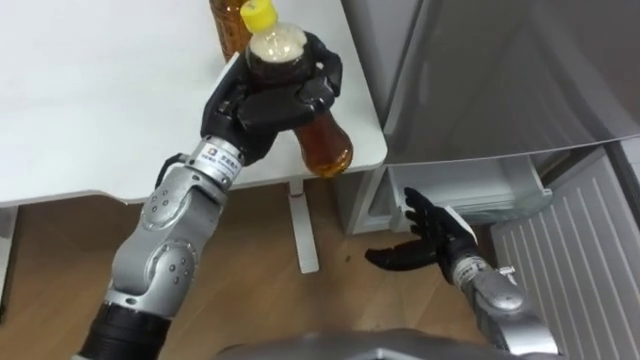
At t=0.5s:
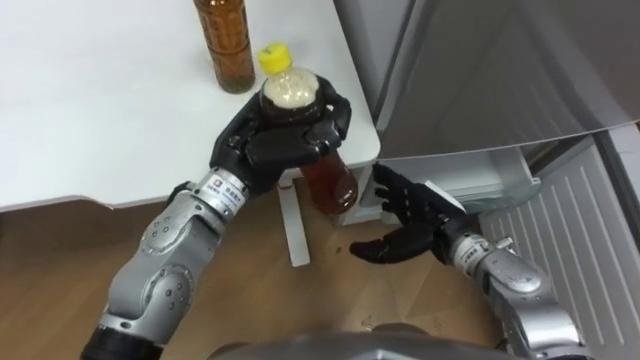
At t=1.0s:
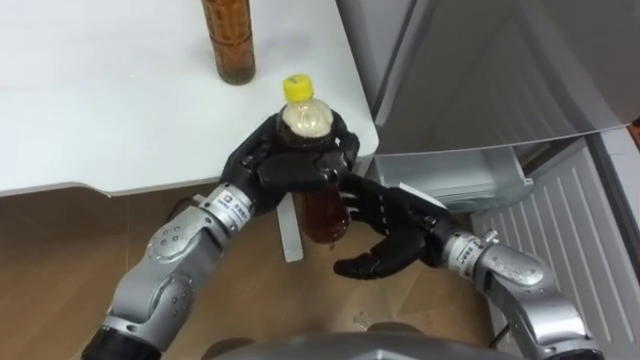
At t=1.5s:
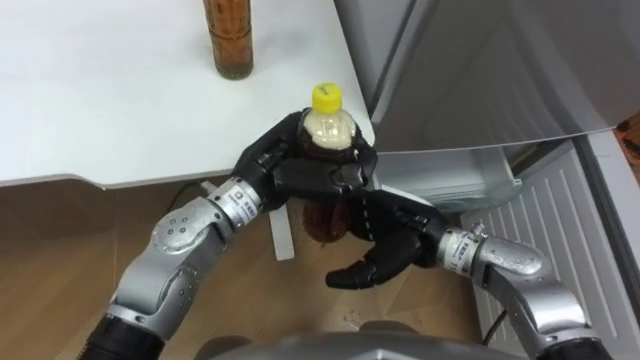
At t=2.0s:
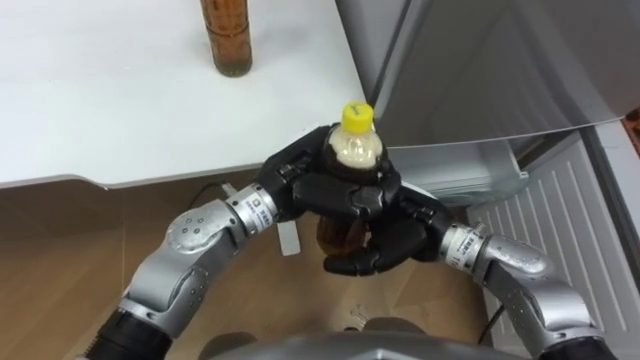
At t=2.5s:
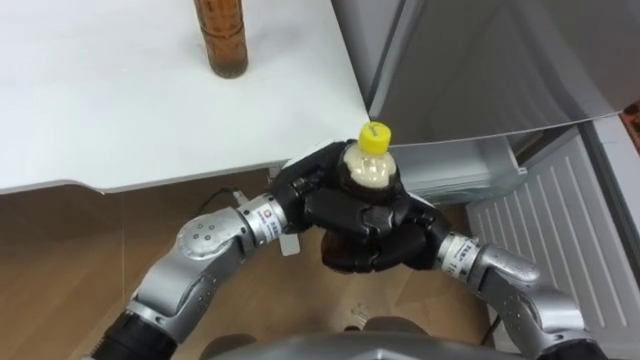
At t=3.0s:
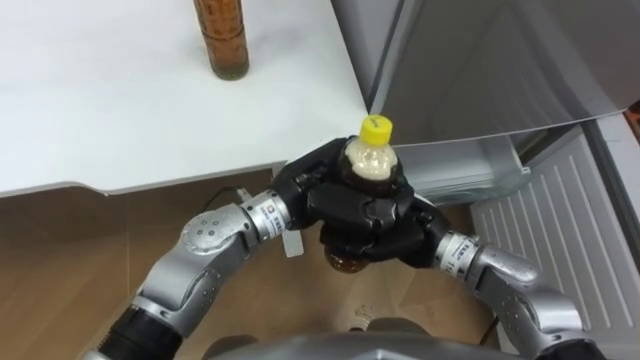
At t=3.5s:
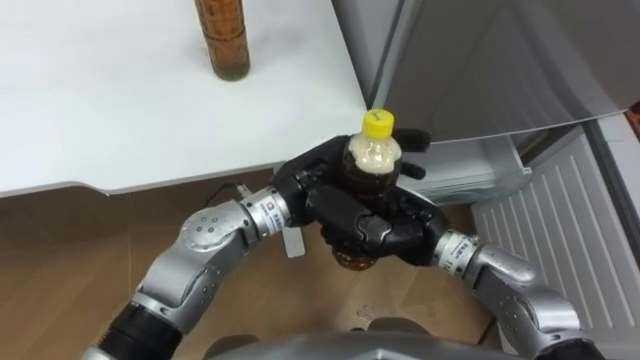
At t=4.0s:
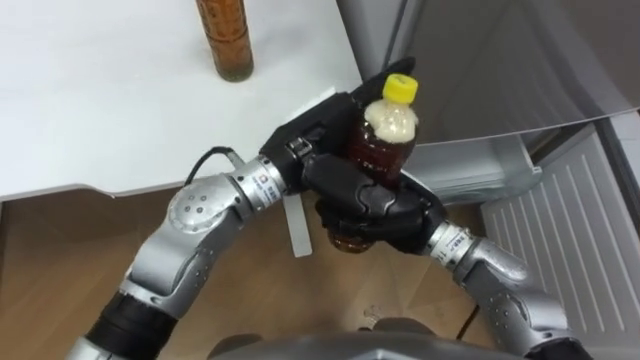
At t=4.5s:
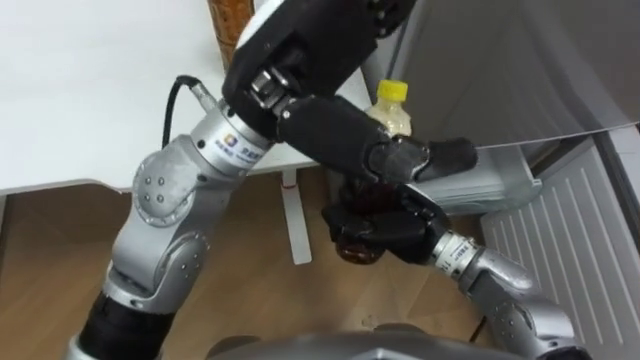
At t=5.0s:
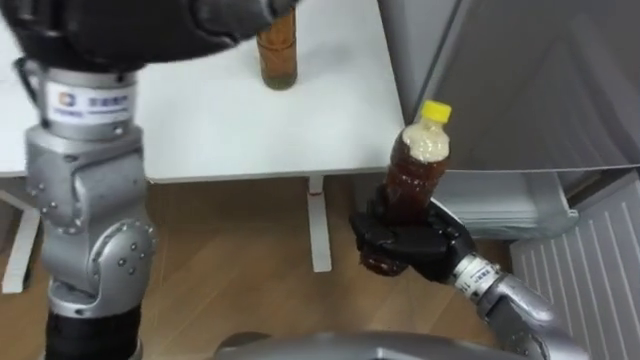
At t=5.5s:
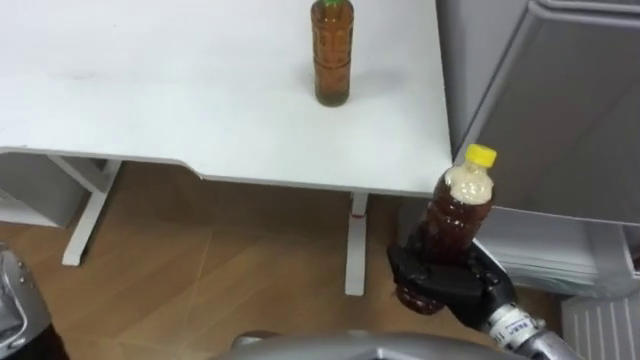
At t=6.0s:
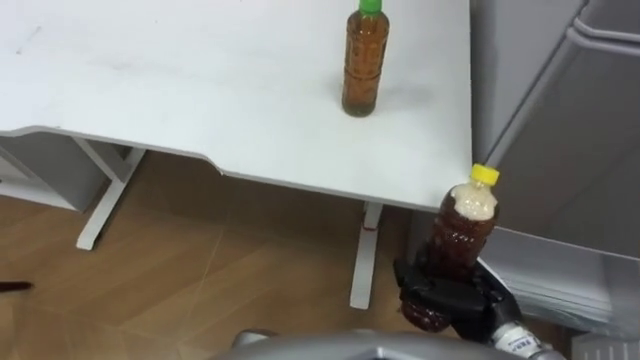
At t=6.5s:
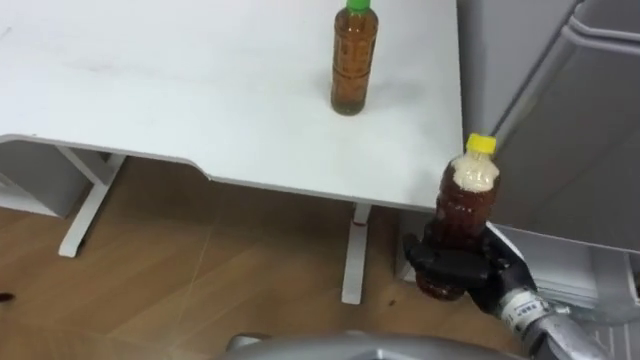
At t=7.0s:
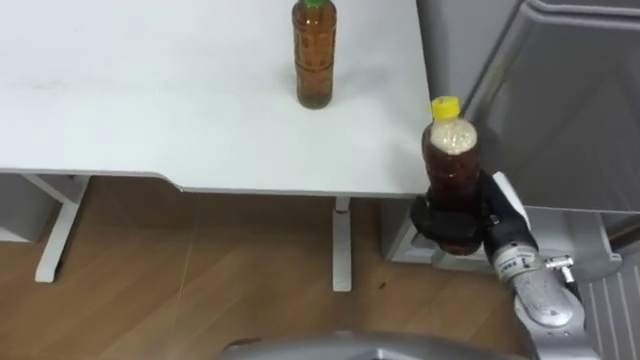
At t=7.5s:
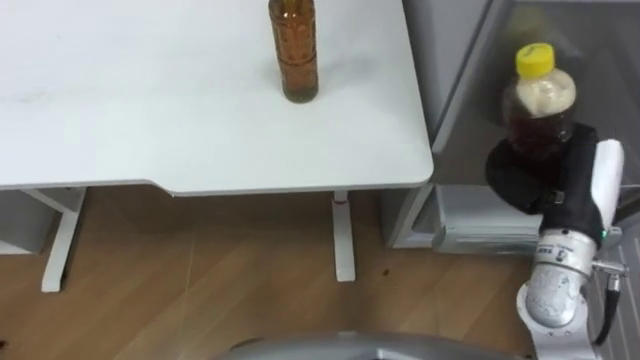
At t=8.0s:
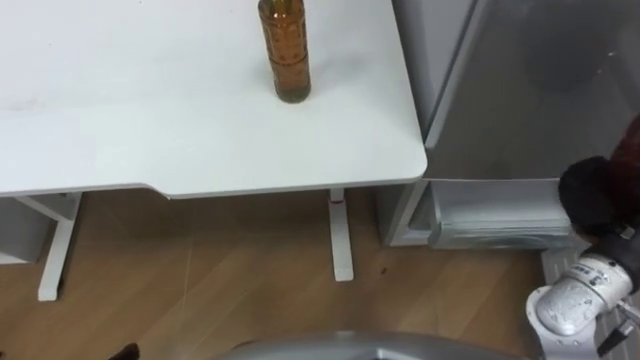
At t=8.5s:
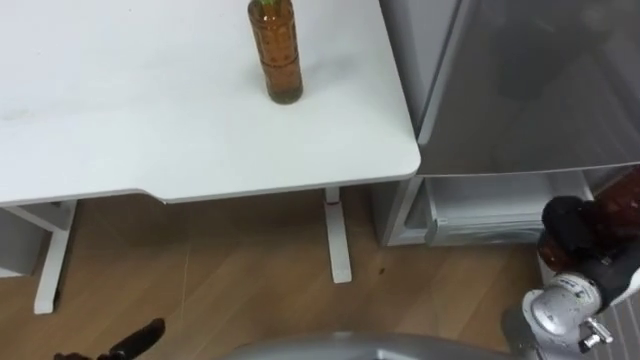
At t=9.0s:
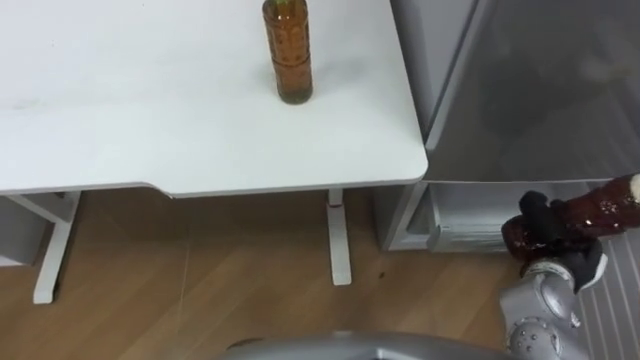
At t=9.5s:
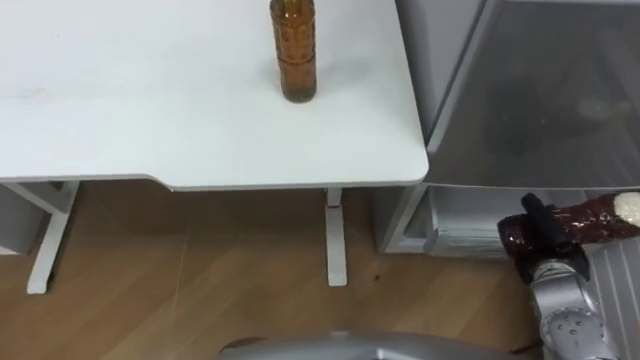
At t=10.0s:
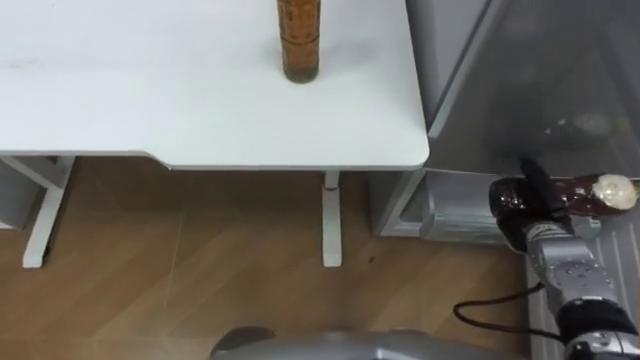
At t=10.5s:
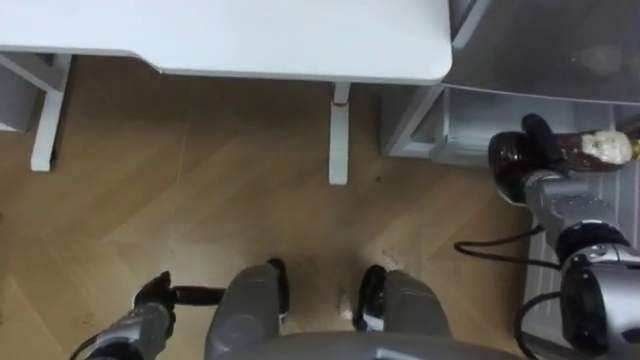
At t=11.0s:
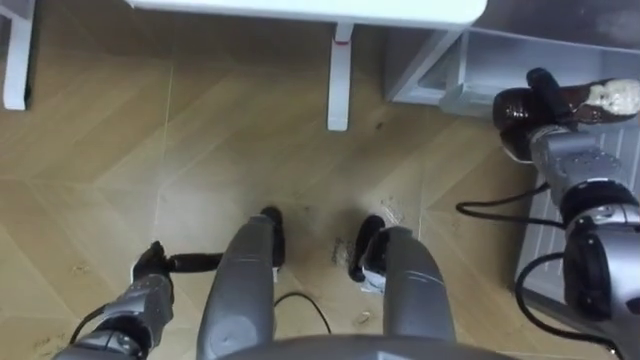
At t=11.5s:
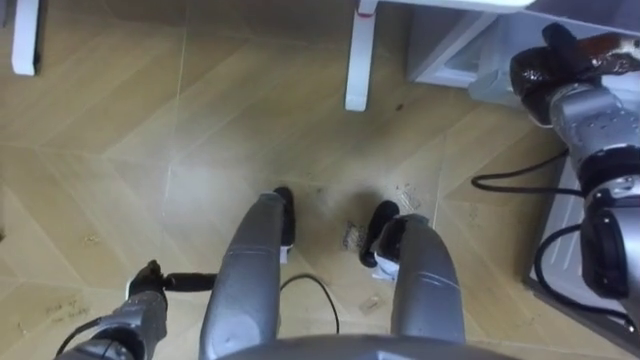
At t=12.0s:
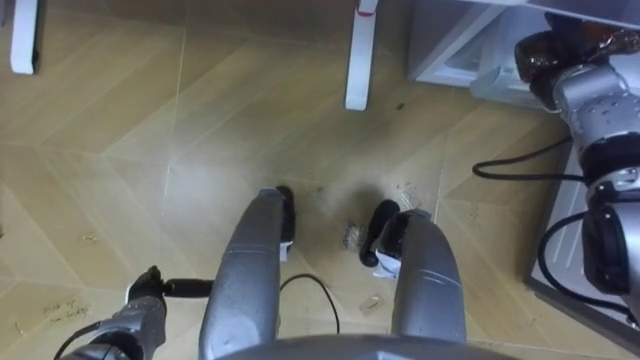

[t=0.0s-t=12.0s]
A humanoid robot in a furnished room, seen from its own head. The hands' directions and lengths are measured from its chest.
Task of the whole recording: Place the drink on the table on the bottom shelf of the refrigerator, then close the drawer and the refrigerator door.
t=0.0s to t=2.0s: The right hand shifts approximately 10 cm upward and to the left, while the left hand moves to the right, downward and backward, about 10 cm.
t=2.0s to t=4.0s: The left hand opens its fingers, while the right hand closes up.
t=4.0s to t=6.0s: The right hand travels backward, to the right and downward by roughly 15 cm.
t=6.0s to t=8.0s: The right hand is displaced to the right and upward by about 15 cm.
t=8.0s to t=10.0s: The right hand travels downward by roughly 15 cm.
t=10.0s to t=12.0s: The right hand is displaced forward and upward by about 20 cm.

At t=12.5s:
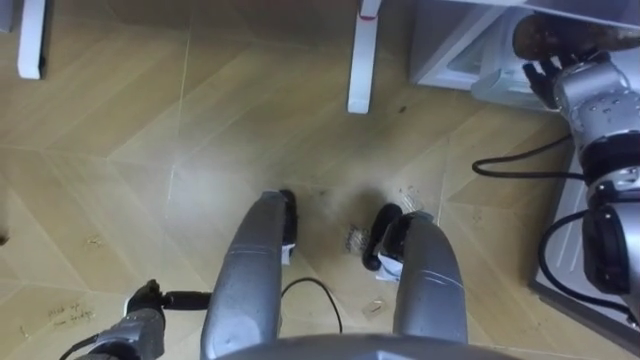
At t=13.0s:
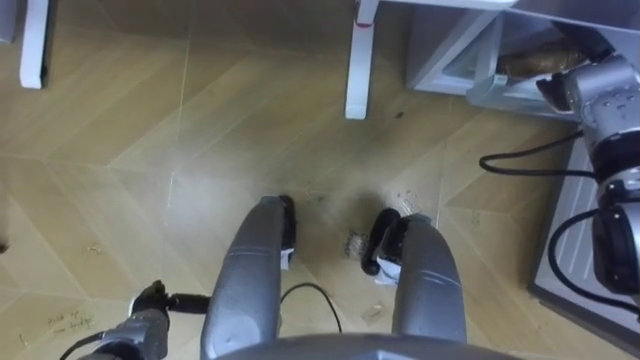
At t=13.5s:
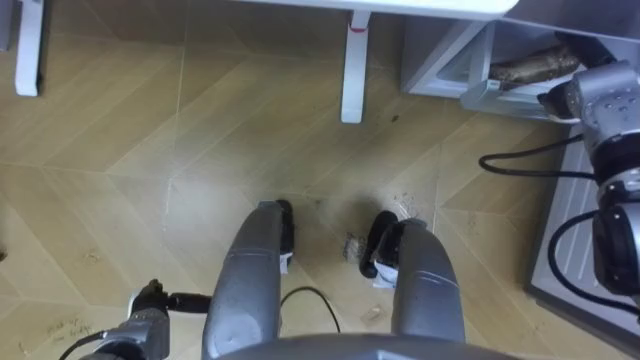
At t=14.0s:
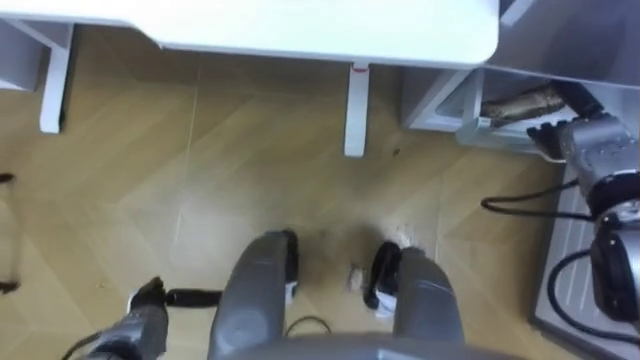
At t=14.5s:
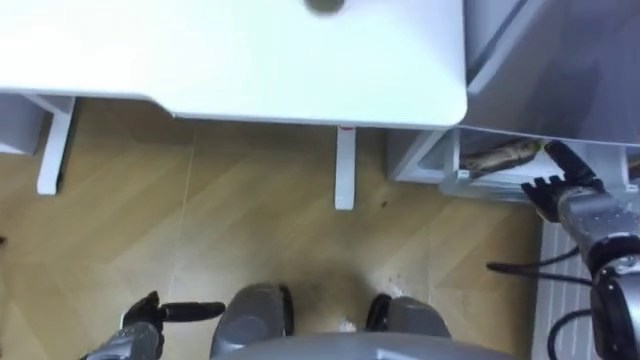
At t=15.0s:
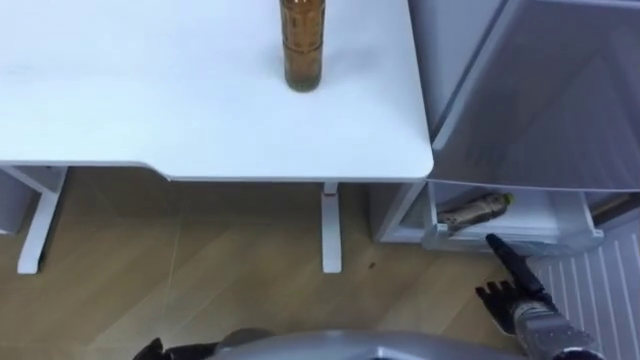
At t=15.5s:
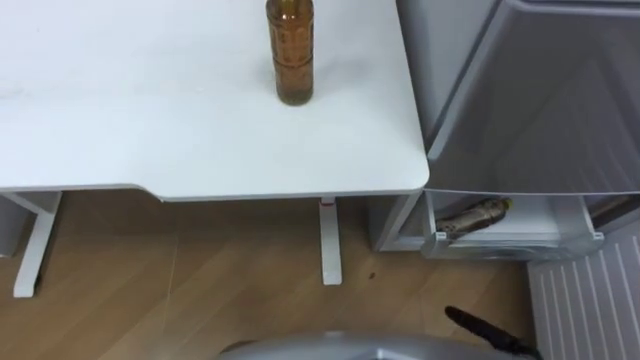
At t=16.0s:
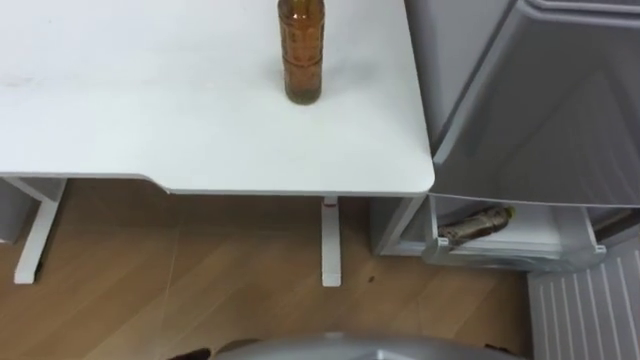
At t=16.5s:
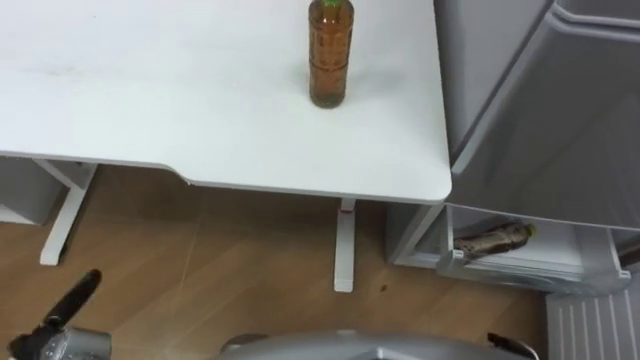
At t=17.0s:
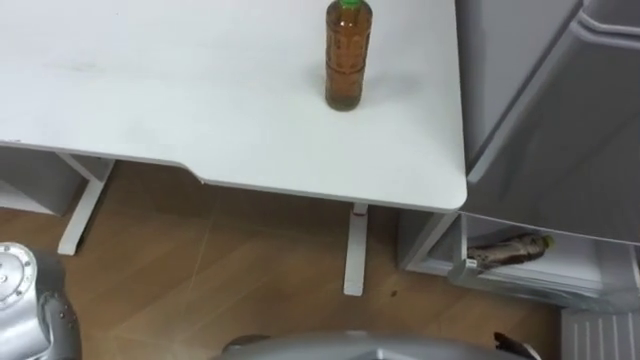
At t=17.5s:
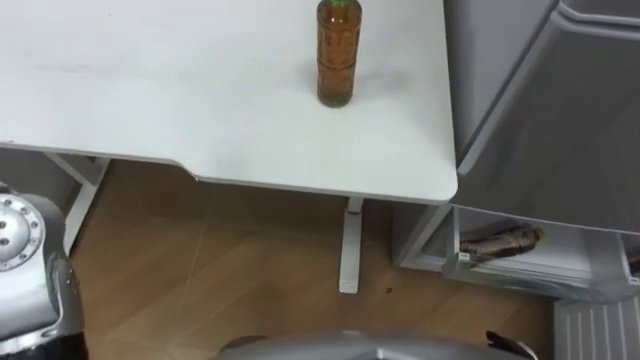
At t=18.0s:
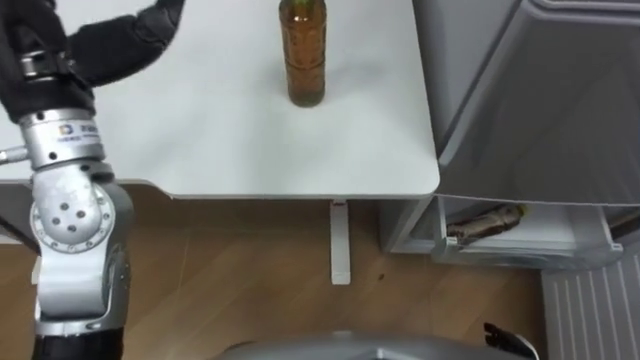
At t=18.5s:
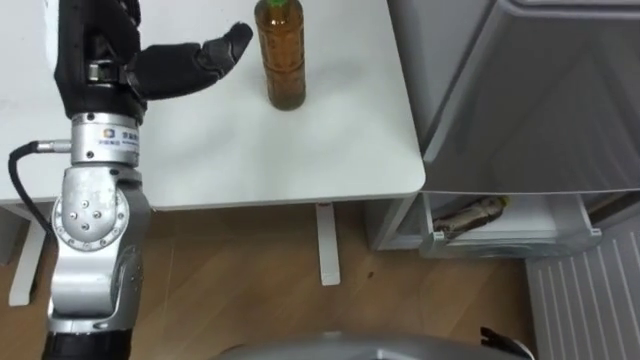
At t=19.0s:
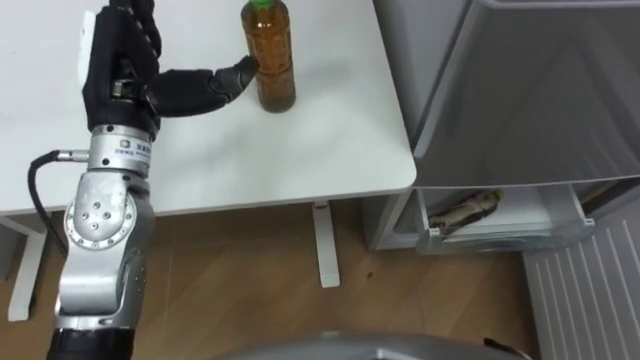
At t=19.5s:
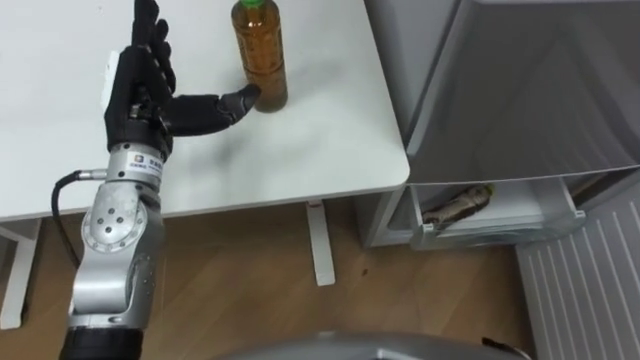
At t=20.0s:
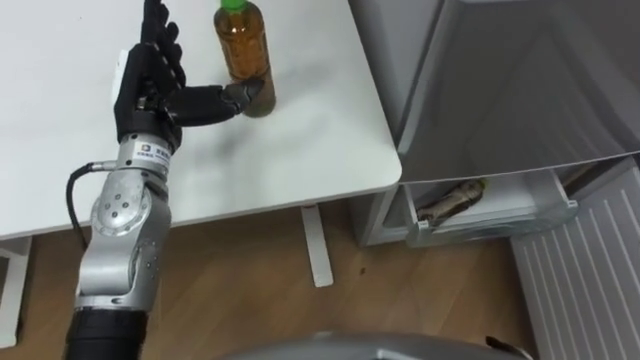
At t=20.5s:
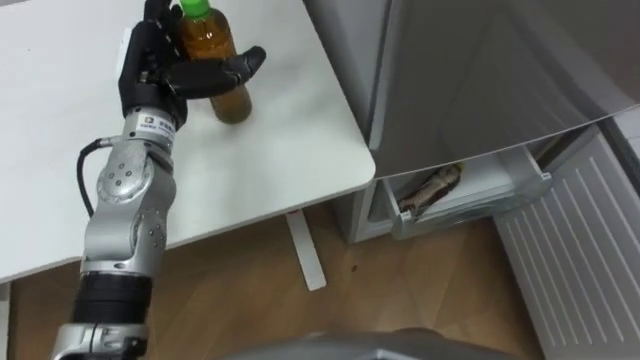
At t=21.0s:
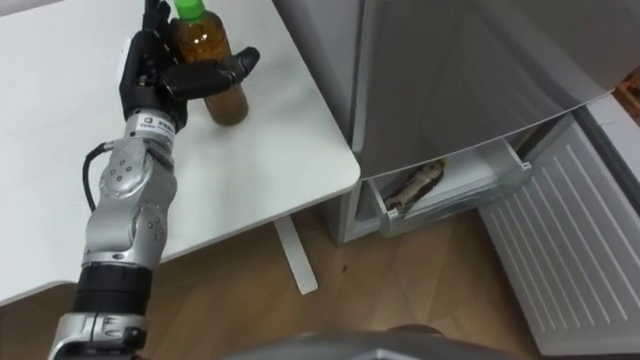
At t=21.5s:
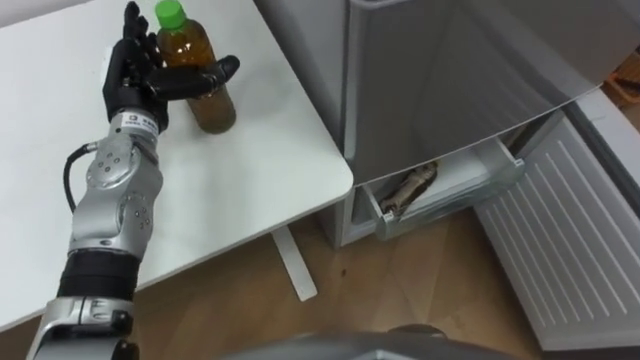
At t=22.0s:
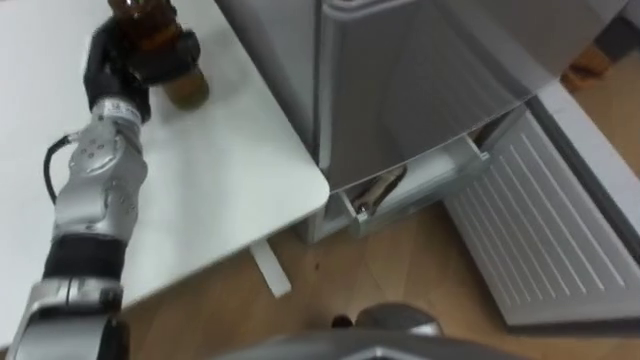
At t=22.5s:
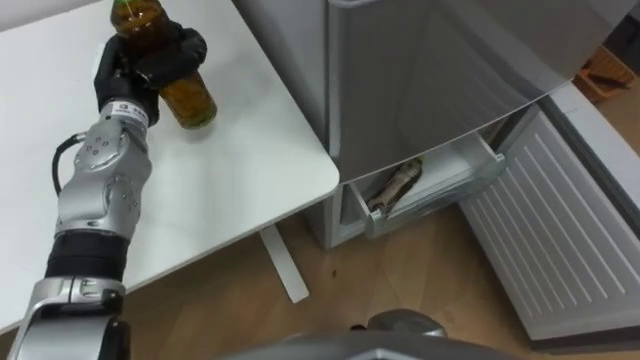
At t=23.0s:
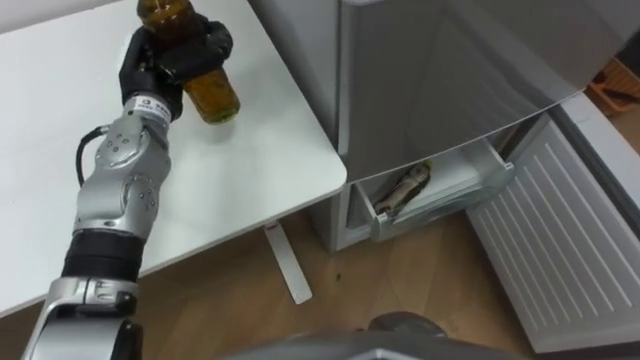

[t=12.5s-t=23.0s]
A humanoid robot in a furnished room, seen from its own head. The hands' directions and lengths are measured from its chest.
Task of the whole recording: Place the drink on the table on the bottom shelf of the refrigerator, then close the drawer and the refrigerator door.
t=12.5s to t=14.5s: The right hand moves downward and backward, some 15 cm.
t=19.0s to t=21.0s: The left hand shifts approximately 10 cm downward and forward.
t=21.0s to t=23.0s: The left hand closes up.
